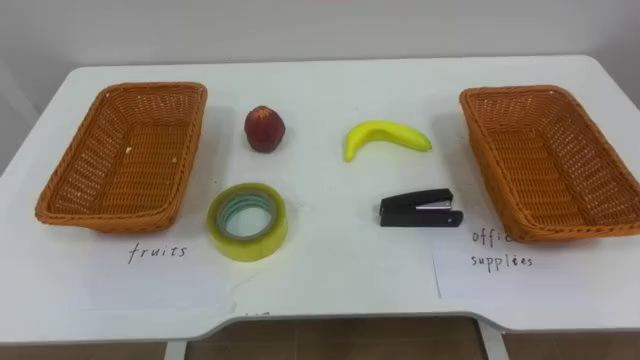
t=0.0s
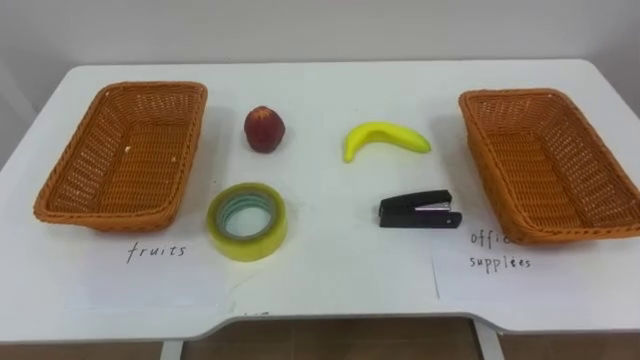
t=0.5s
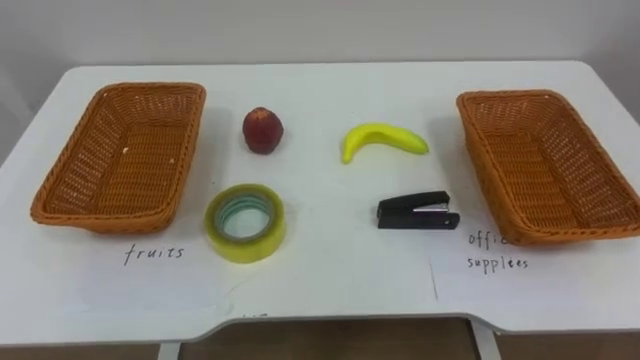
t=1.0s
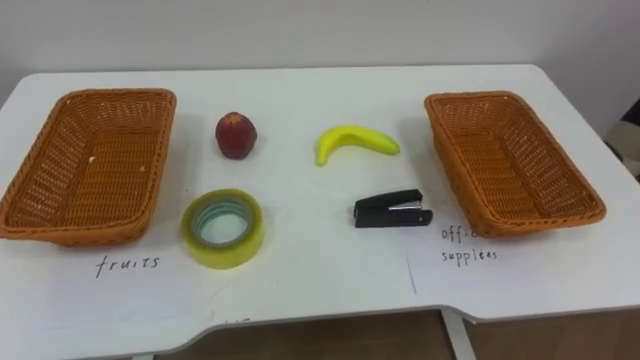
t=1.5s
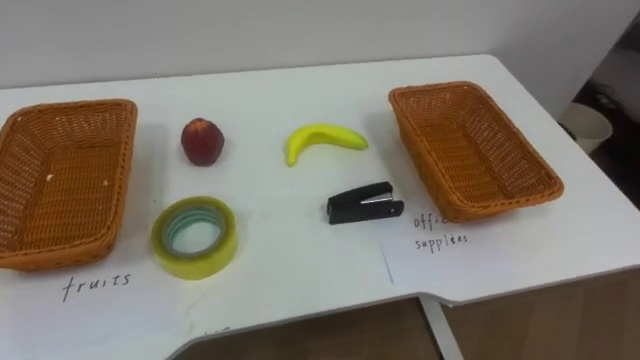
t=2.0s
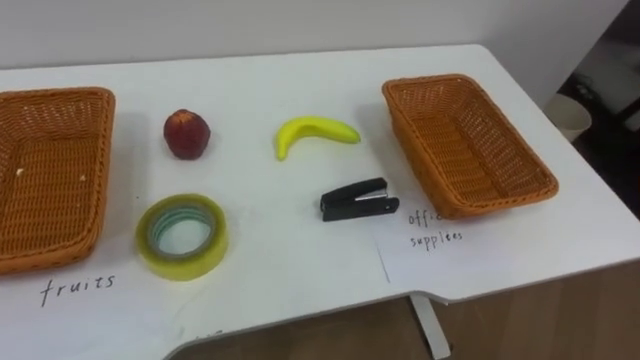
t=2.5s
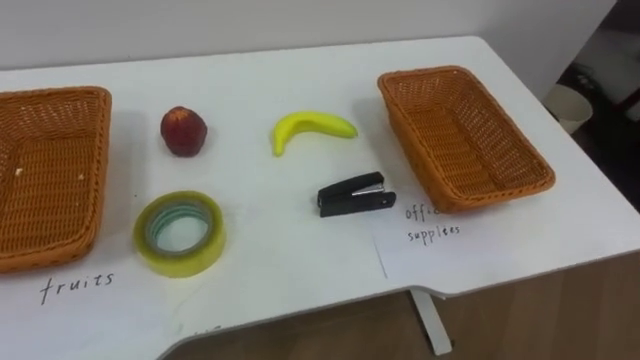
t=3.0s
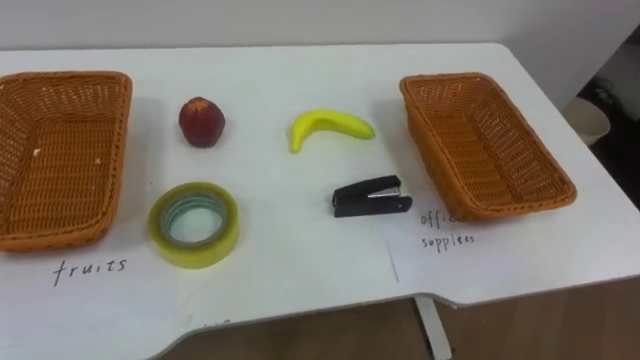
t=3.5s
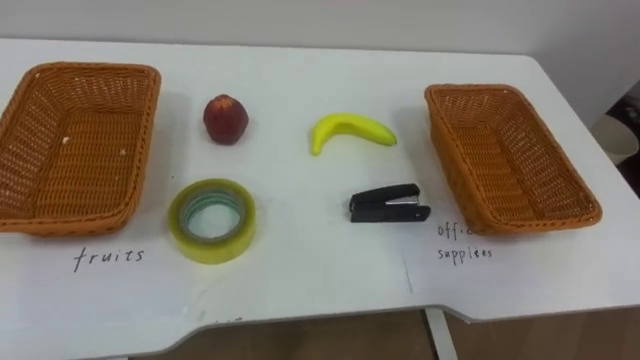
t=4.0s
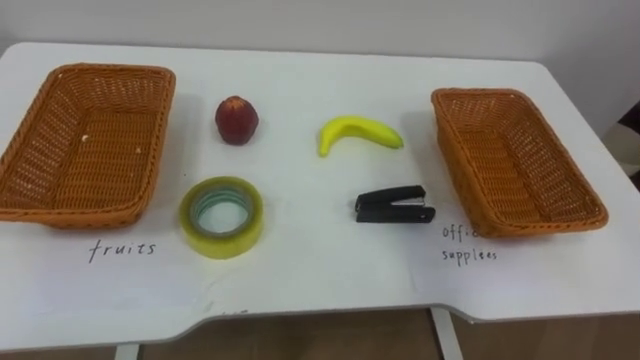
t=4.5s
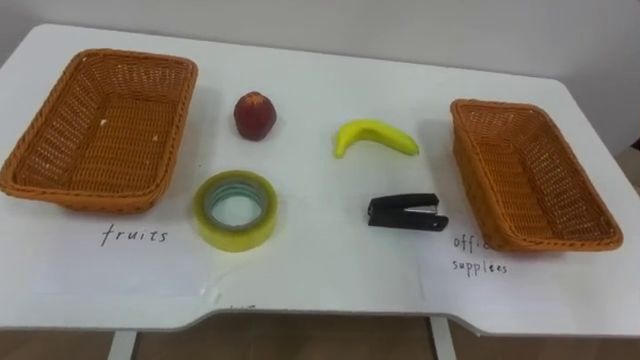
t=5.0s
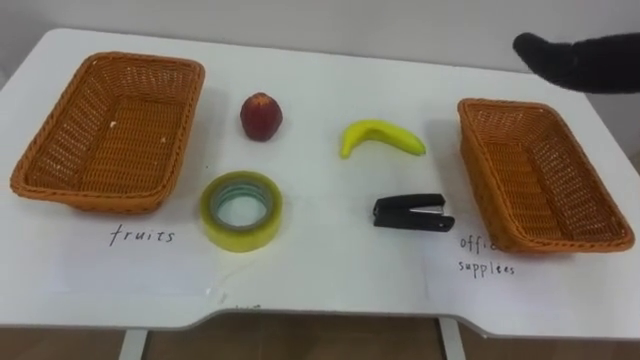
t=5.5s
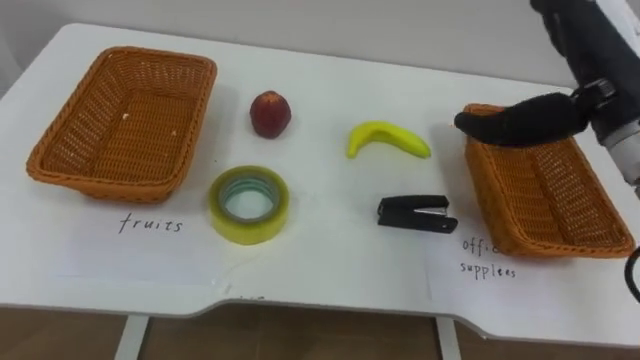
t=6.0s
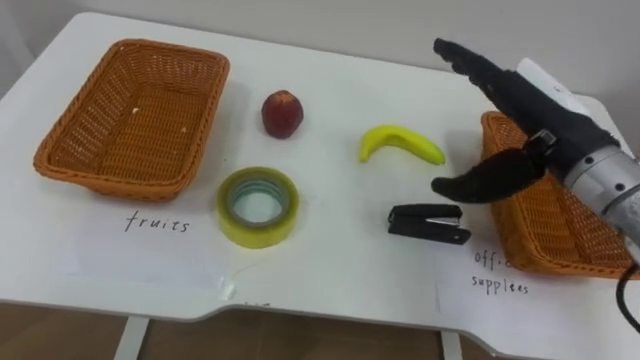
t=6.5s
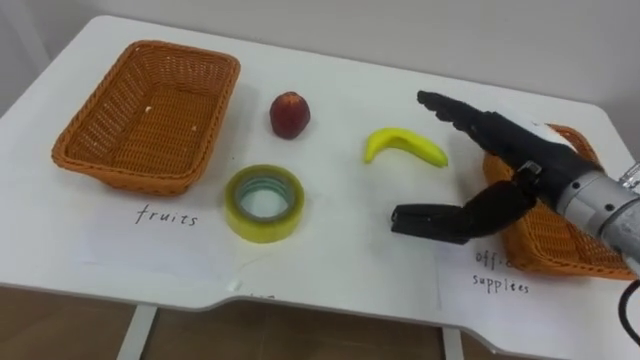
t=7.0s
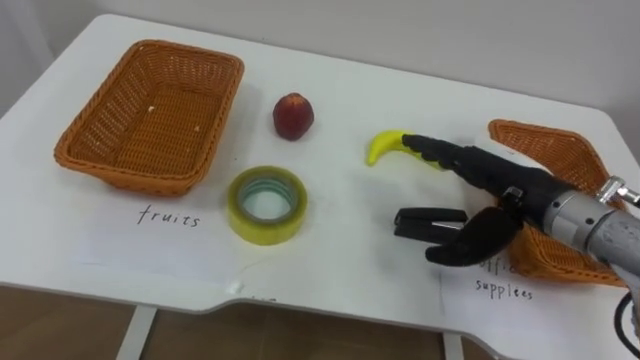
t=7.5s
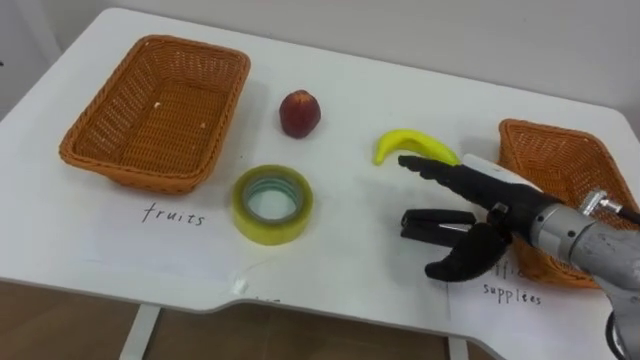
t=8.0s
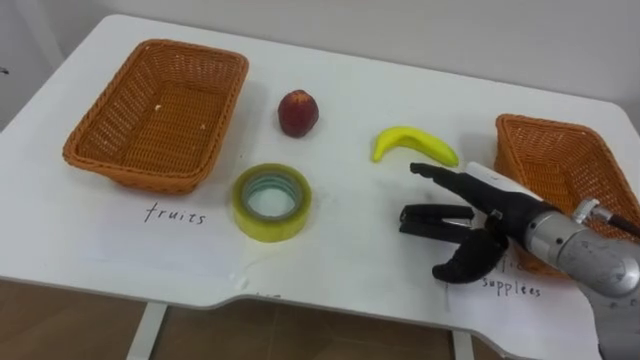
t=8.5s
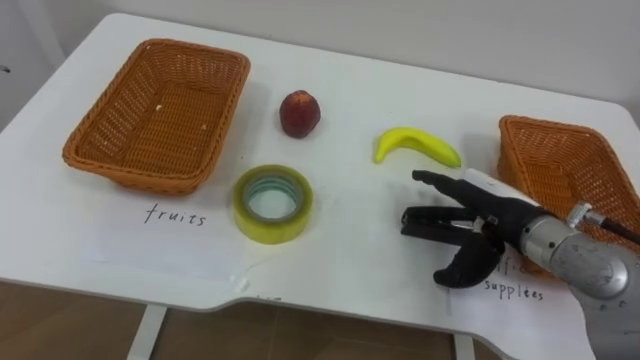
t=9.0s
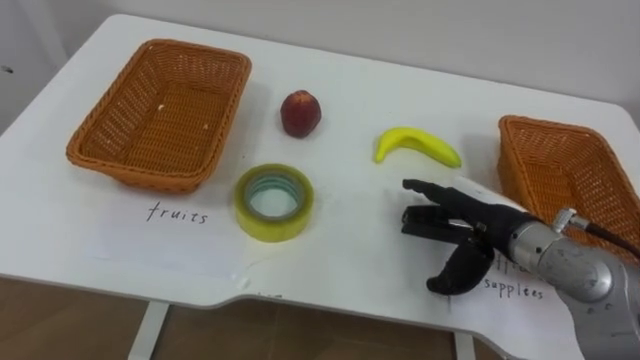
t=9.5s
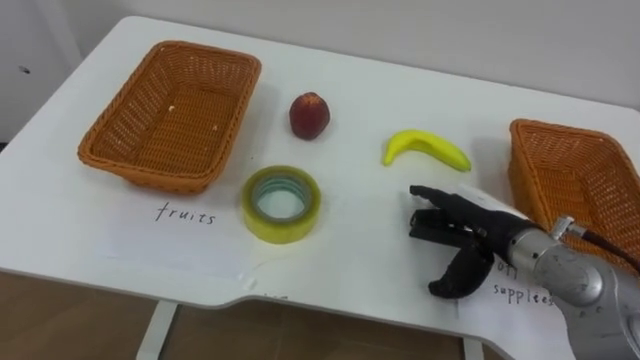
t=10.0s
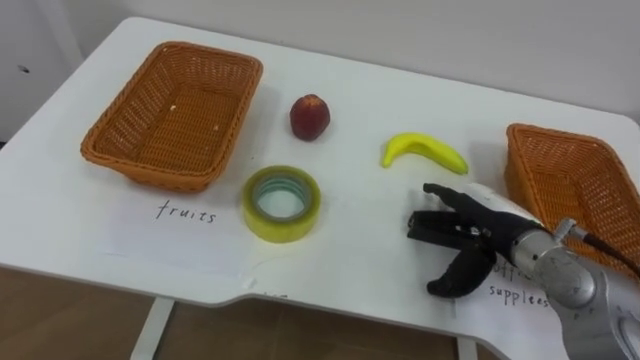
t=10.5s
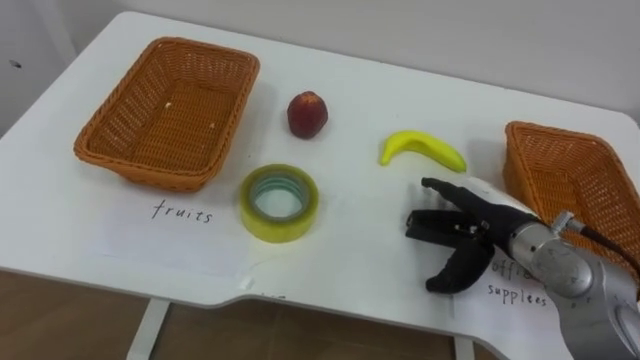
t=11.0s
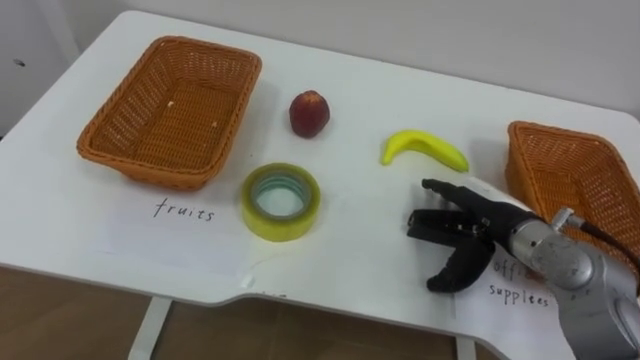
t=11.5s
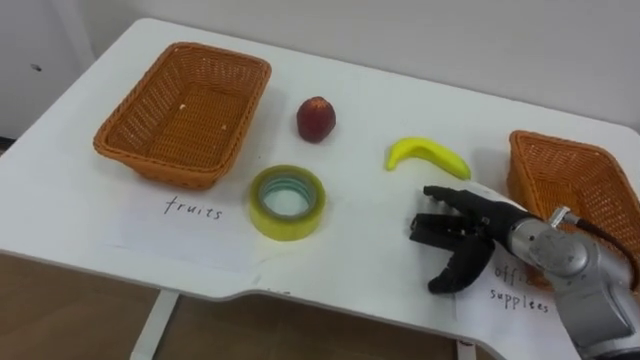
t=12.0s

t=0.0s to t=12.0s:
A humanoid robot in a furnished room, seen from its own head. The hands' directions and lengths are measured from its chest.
Task of the whole recording: Separate the items on the table and place them into the two baskets.
t=6.0s to t=8.0s: The right hand heads downward, covering some 15 cm.
t=8.0s to t=10.0s: The right hand shifts about 5 cm downward.

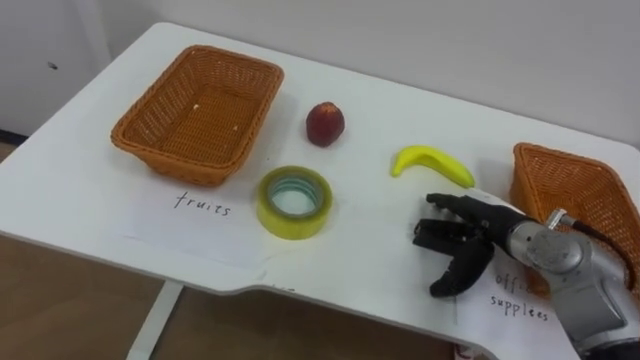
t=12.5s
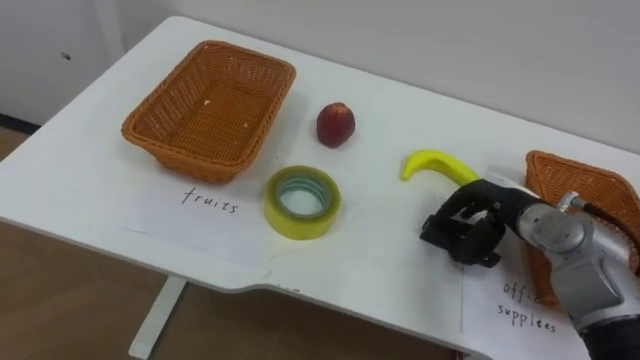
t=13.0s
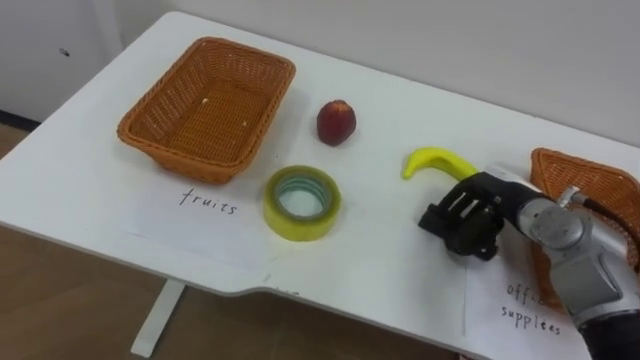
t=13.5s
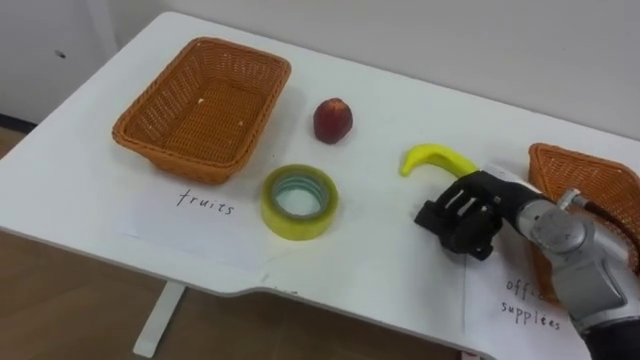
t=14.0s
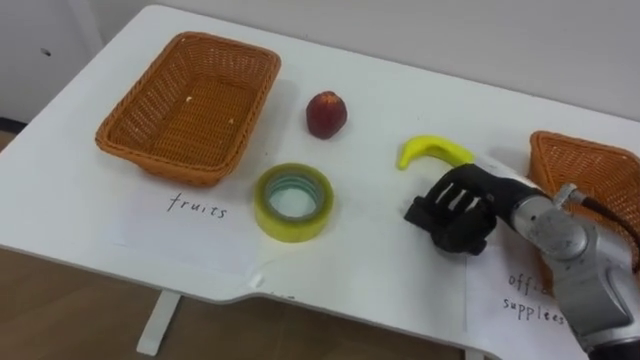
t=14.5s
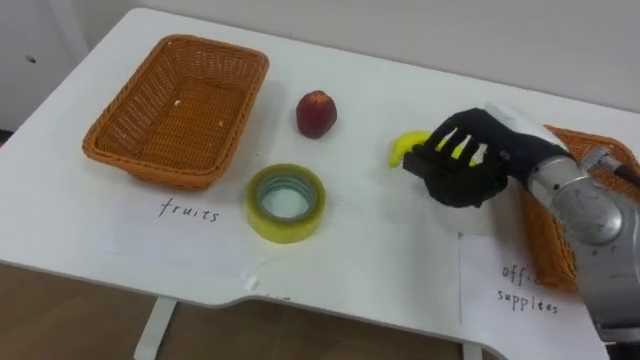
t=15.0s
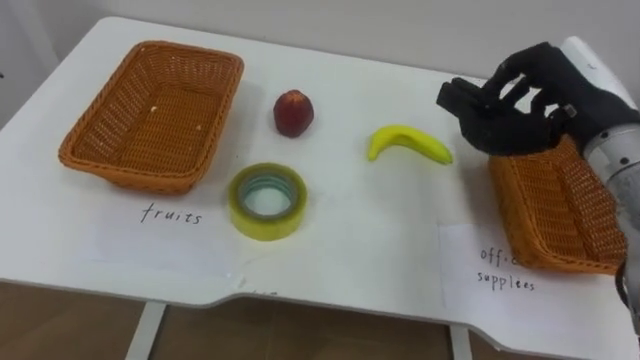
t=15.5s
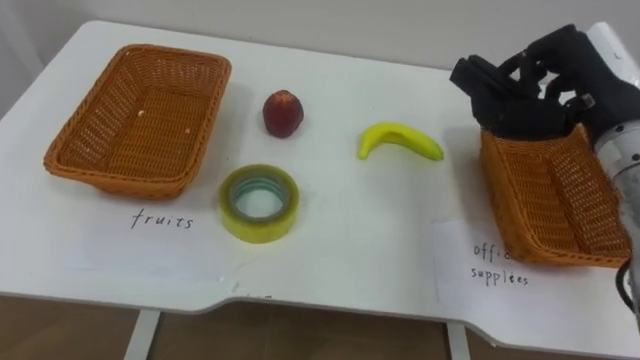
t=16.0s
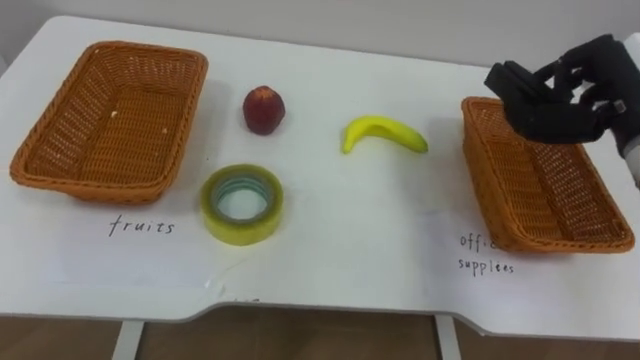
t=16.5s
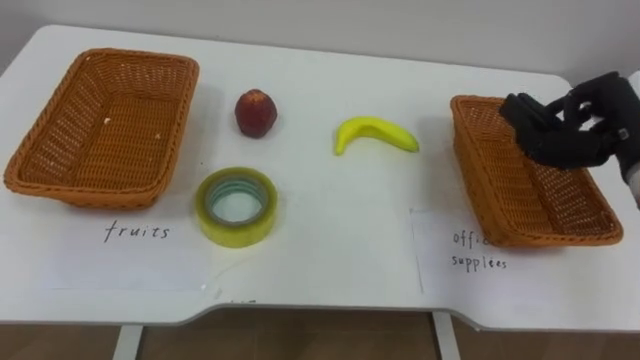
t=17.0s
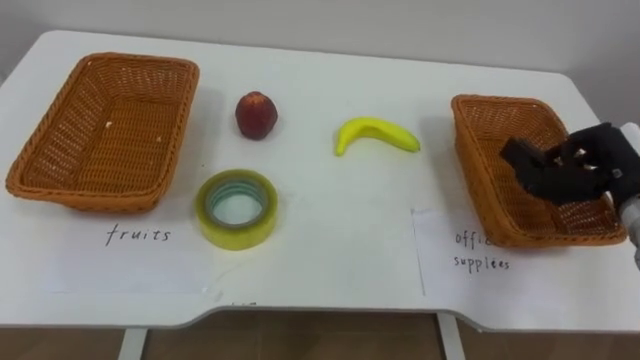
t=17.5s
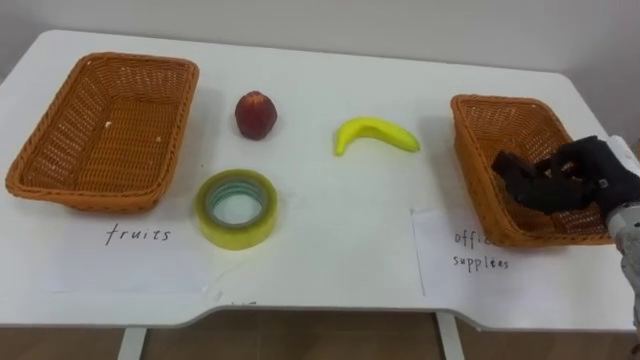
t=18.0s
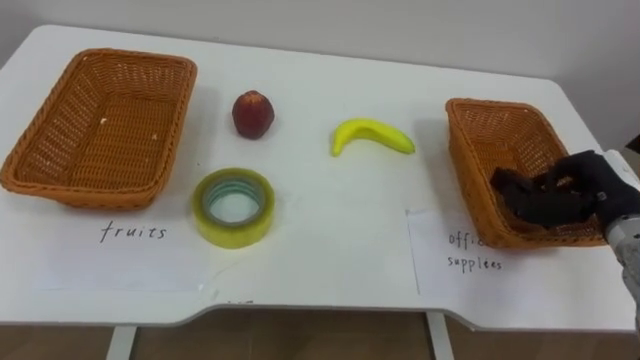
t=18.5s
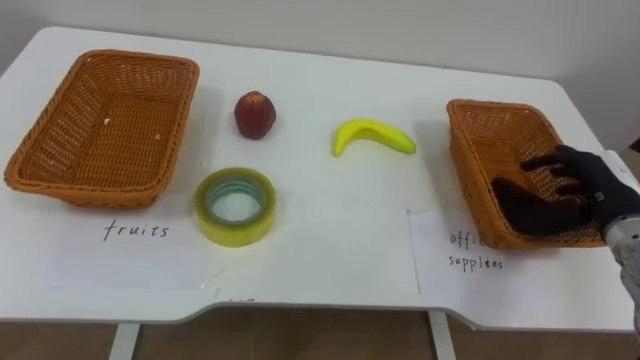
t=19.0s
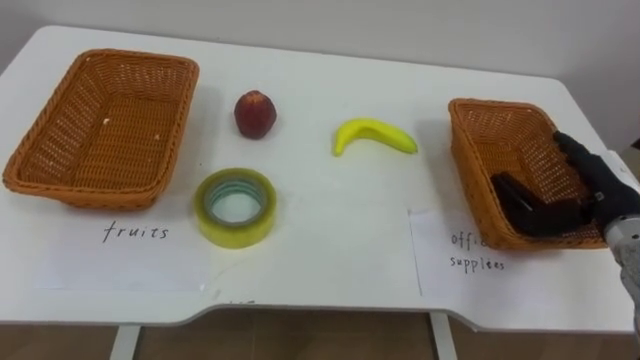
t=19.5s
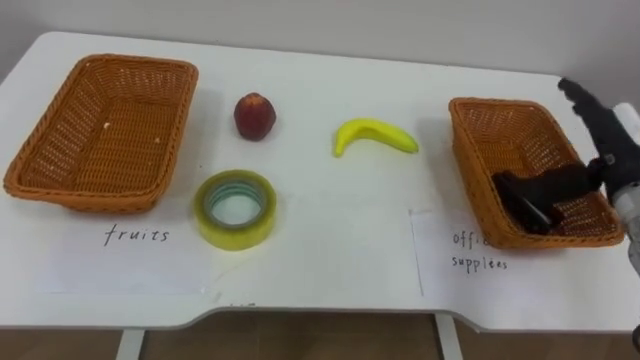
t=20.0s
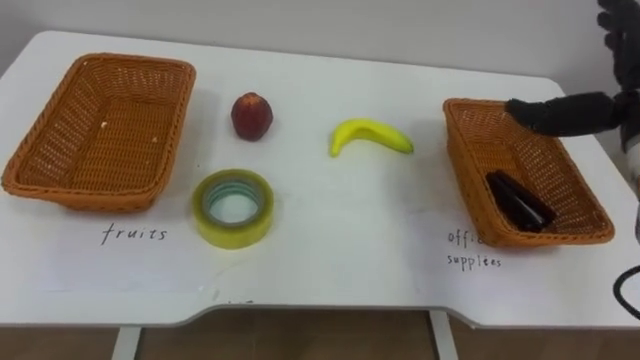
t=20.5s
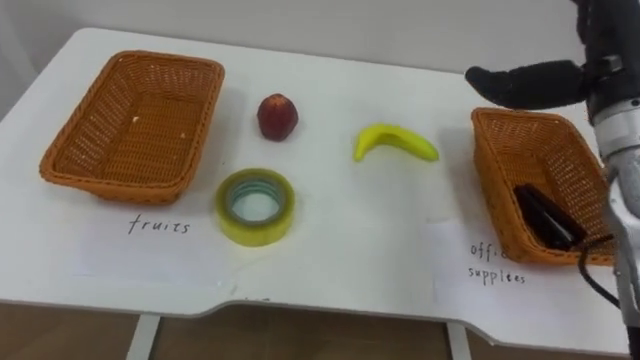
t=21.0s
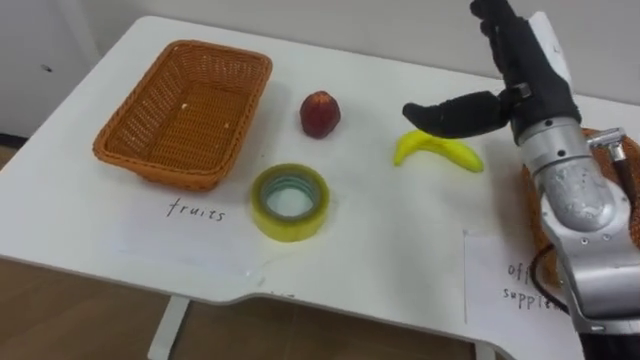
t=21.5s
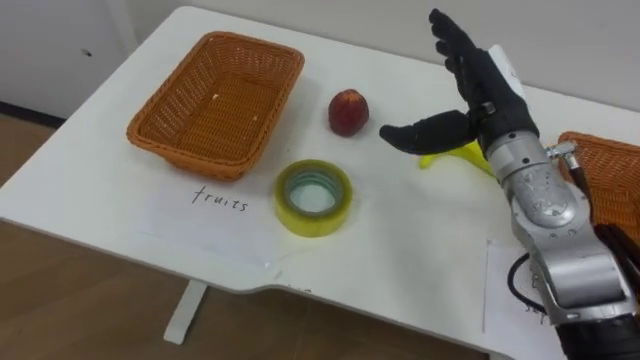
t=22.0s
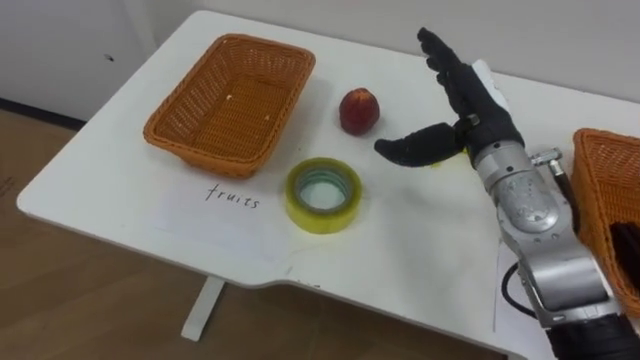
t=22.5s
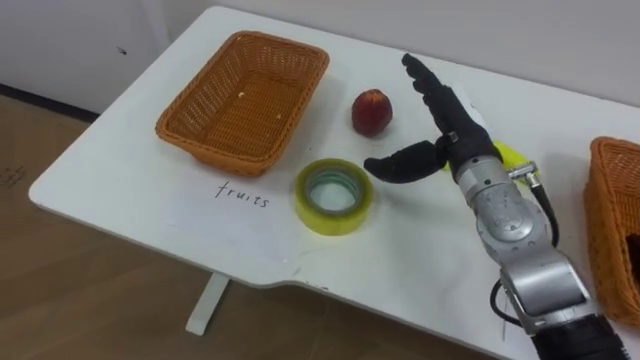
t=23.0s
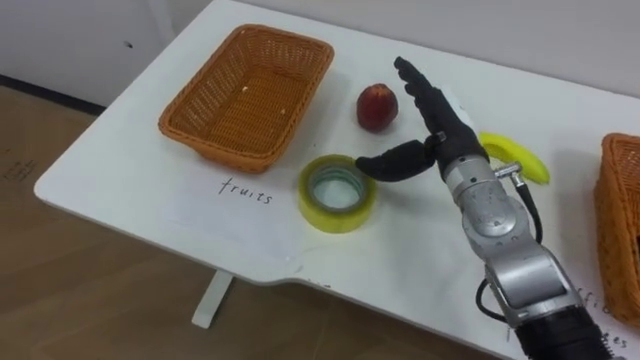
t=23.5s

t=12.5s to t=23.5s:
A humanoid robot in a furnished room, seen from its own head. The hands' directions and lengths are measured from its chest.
Task of the whole recording: Separate the items on the table and place them into the two baskets.
t=12.5s to t=14.5s: The right hand ends up roughly 5 cm from where it was, and closes its fingers.
t=14.5s to t=16.0s: The right hand travels upward by roughly 15 cm.
t=16.0s to t=18.0s: The right hand travels downward and to the right by some 15 cm.
t=18.0s to t=20.0s: The right hand opens its fingers.
t=20.0s to t=21.5s: The right hand shifts about 15 cm to the left and upward.
t=21.5s to t=23.5s: The right hand shifts approximately 10 cm downward and to the left.
